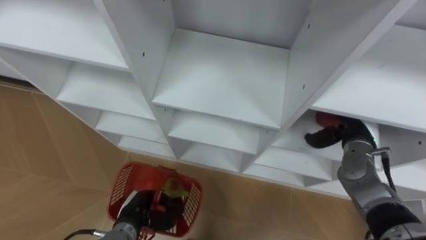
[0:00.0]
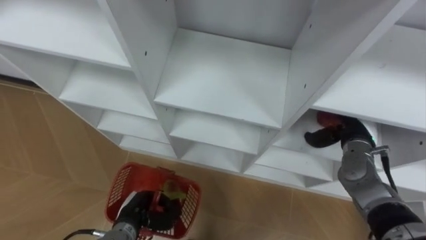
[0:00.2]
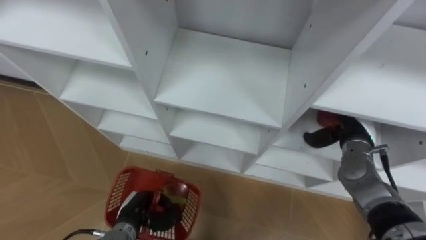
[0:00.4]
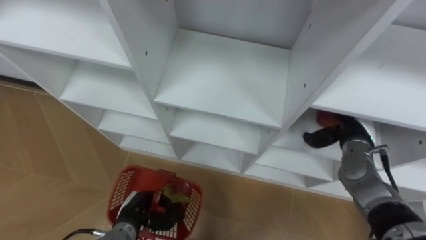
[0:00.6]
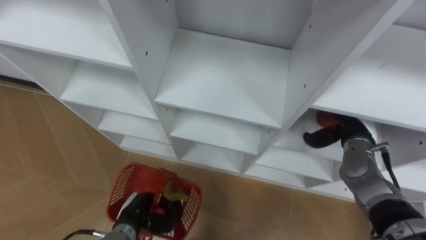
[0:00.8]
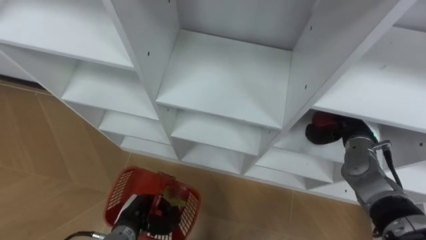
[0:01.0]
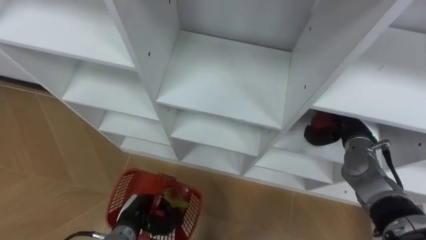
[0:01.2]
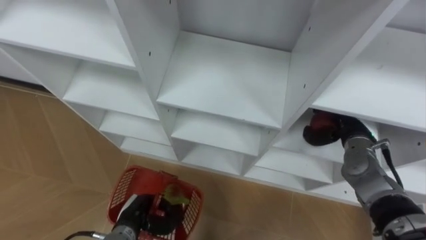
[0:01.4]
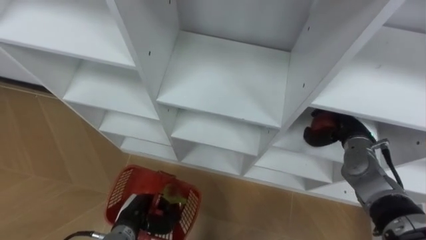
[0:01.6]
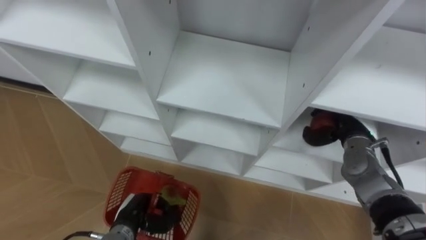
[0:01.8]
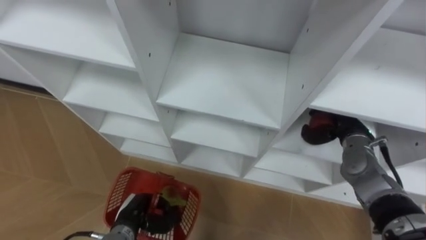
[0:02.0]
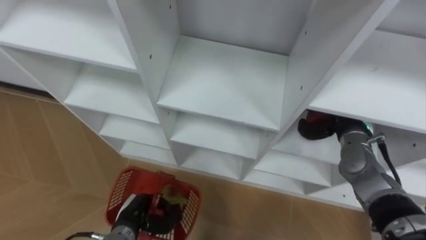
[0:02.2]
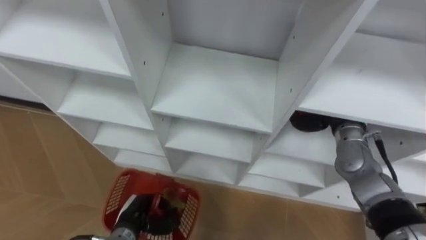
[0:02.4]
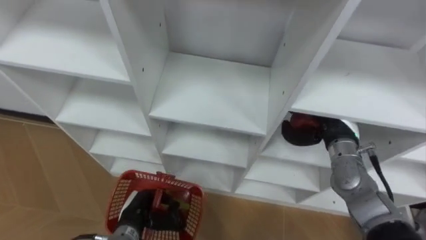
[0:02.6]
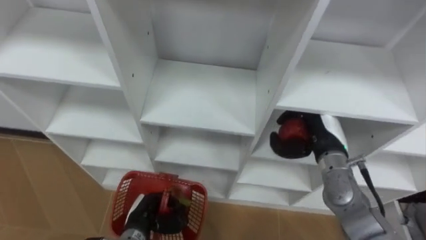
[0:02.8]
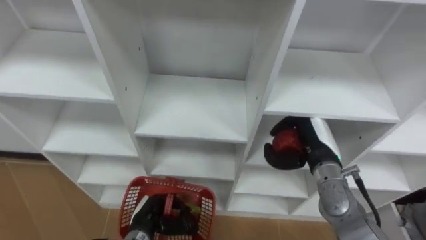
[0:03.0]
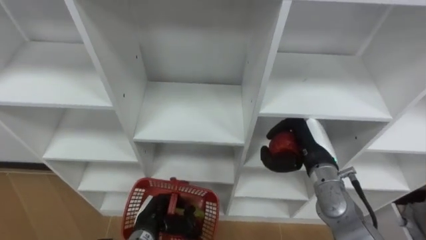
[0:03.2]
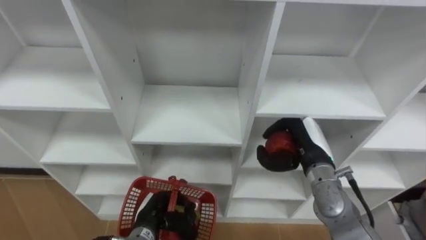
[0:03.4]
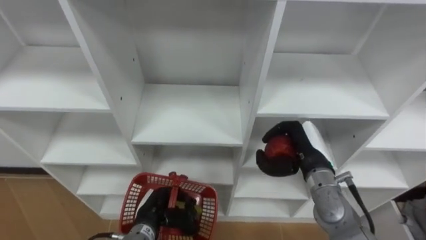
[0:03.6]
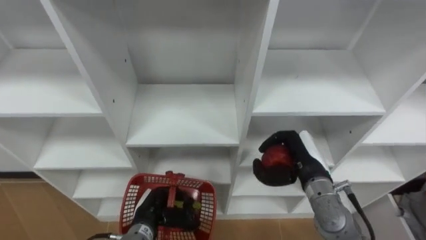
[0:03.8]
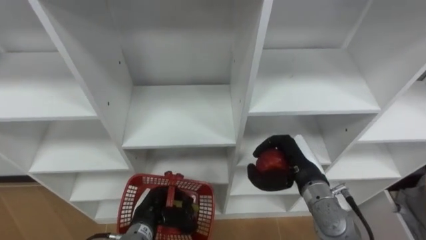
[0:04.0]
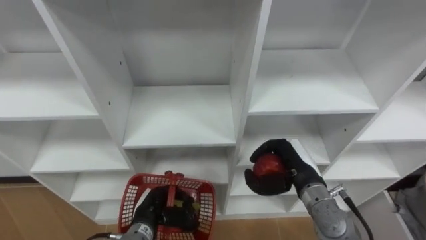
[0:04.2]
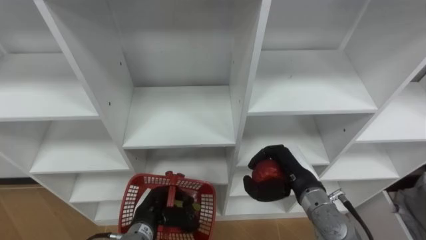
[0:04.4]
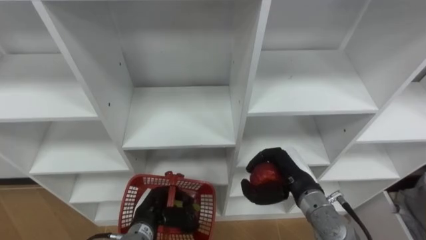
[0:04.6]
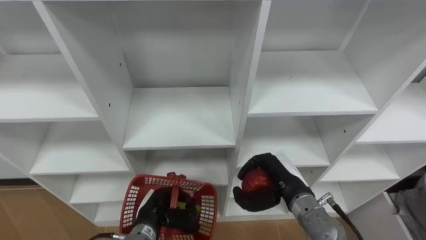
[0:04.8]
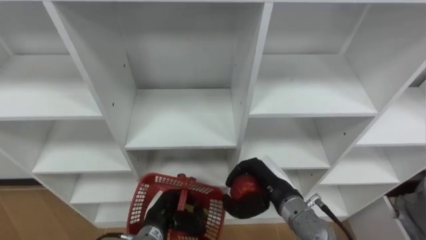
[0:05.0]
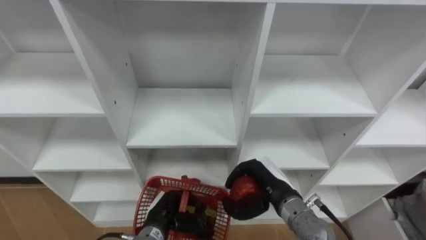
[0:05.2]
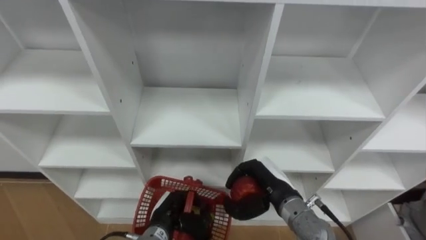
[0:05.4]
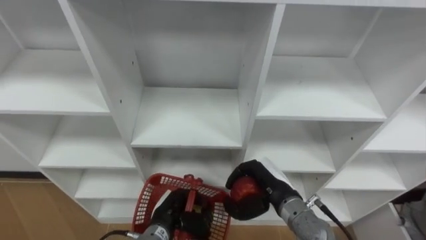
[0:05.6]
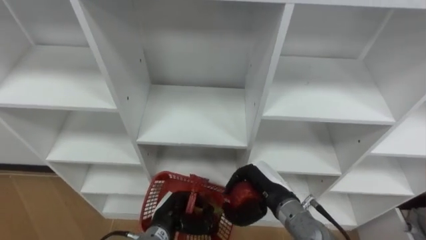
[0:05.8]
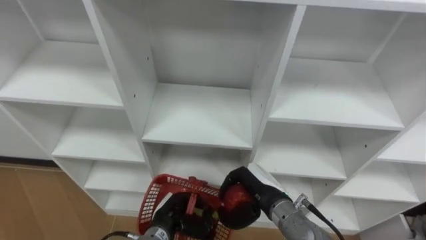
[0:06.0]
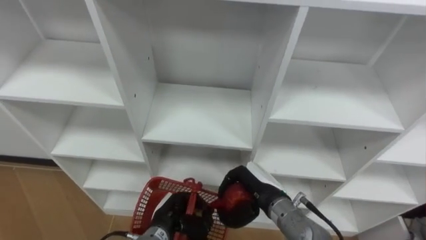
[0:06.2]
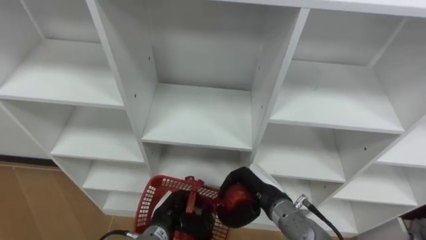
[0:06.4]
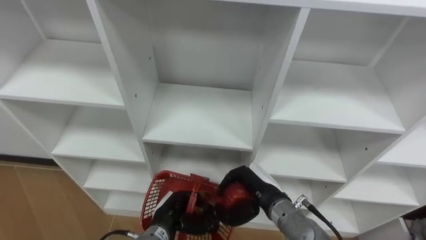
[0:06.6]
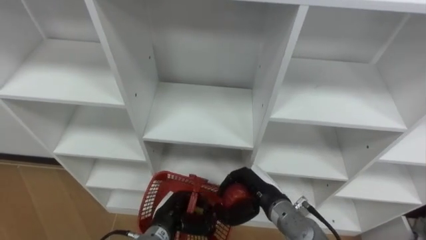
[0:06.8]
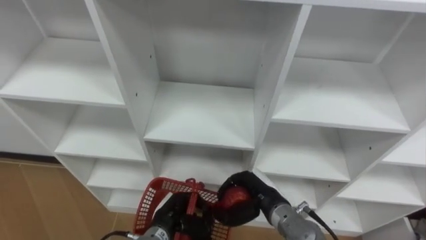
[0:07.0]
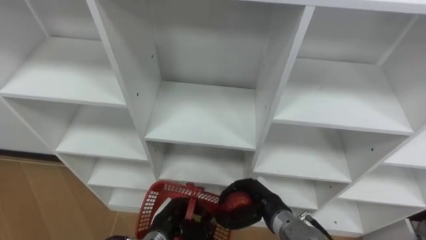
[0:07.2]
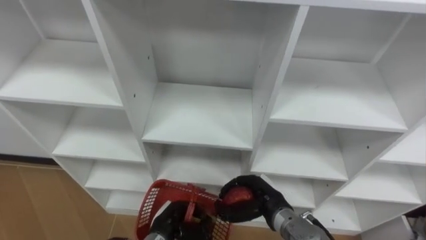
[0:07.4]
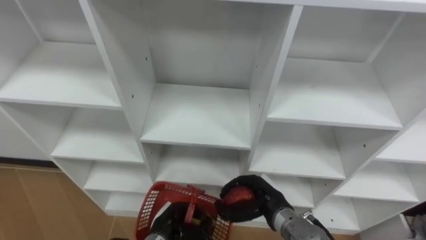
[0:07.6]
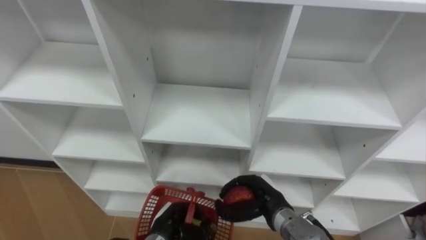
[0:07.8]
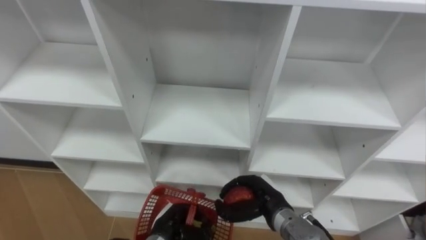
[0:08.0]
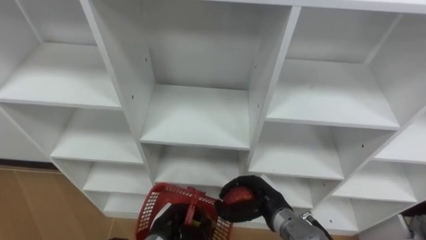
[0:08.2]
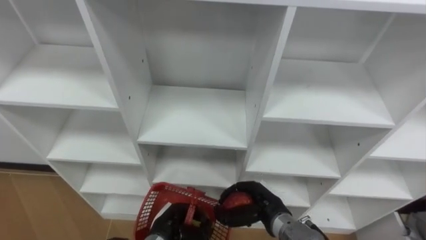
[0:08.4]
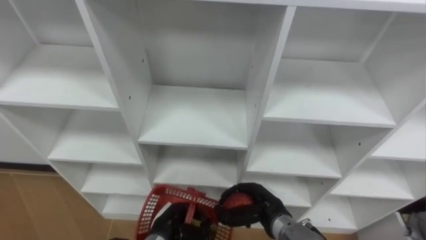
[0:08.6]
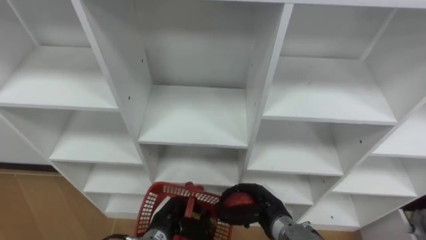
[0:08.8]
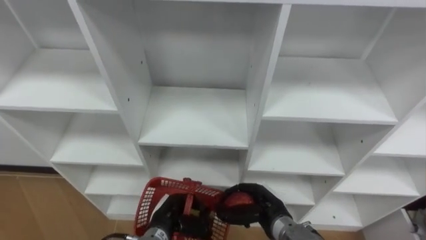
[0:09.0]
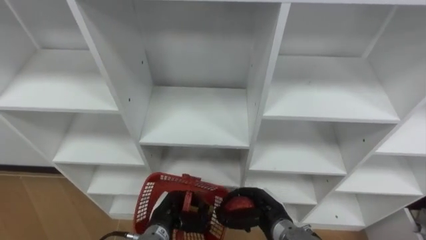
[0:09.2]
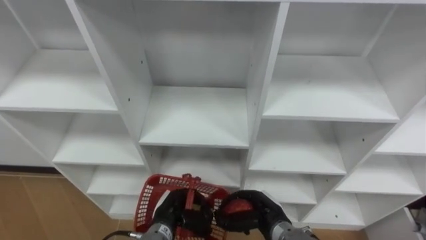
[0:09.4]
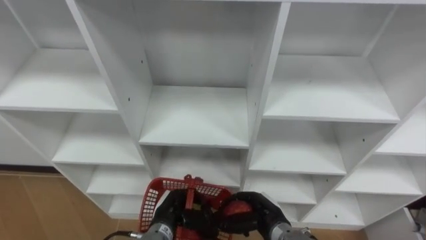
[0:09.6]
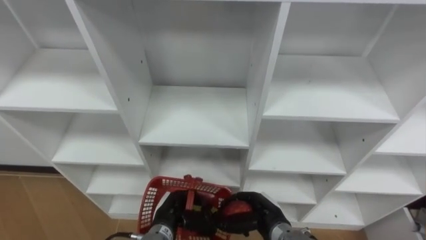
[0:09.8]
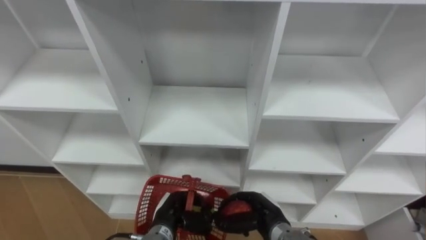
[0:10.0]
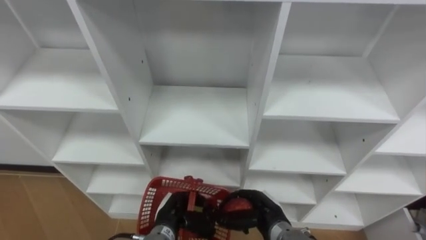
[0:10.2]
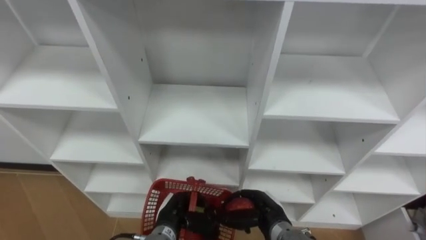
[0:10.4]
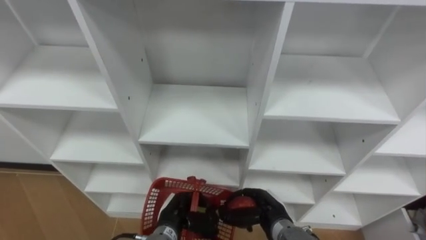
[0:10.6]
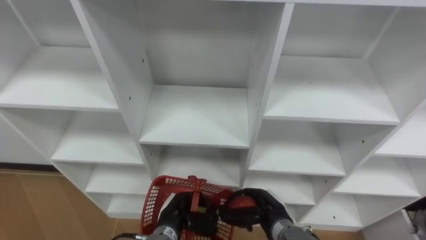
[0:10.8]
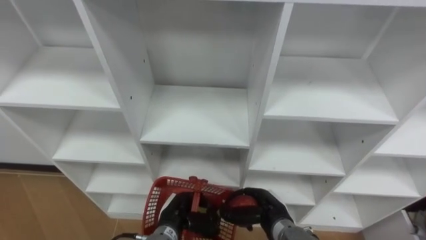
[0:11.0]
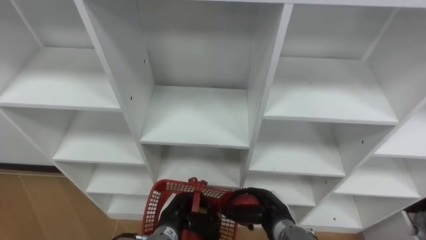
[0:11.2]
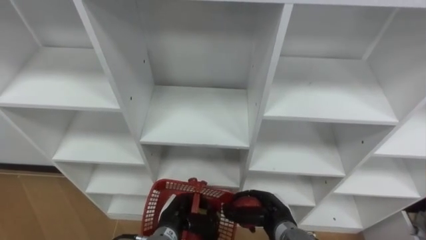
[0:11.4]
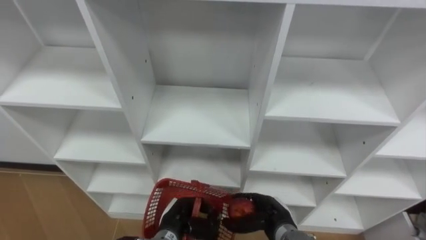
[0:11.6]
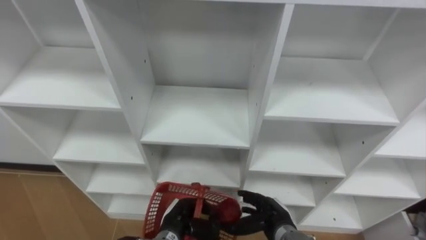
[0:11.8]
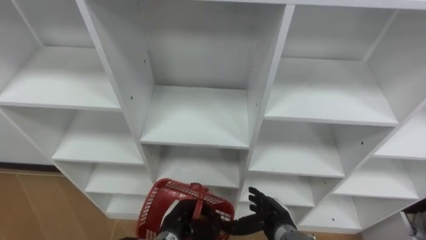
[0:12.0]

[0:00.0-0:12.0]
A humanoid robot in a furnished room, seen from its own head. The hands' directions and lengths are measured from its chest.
Task of the whole recording: Hold the basket and collect the fruits from 3 different cells of the closet into it.
0:00.0 to 0:01.6: The right hand closes up.
0:01.6 to 0:03.0: The right hand moves to the left, some 10 cm.
0:03.0 to 0:04.4: The right hand shifts by roughly 5 cm.
0:04.4 to 0:06.0: The right hand shifts roughly 5 cm to the left.
0:07.6 to 0:10.4: There are only small adjustments of the hands.
0:10.4 to 0:12.0: The right hand opens its fingers.

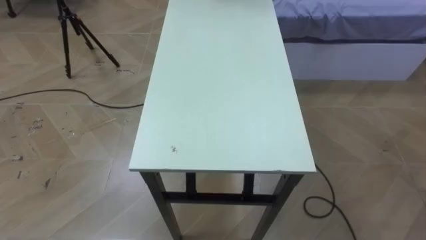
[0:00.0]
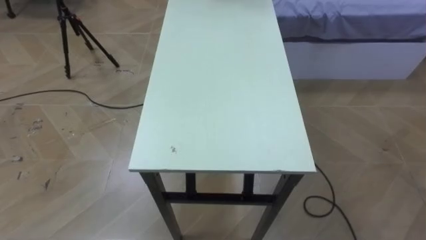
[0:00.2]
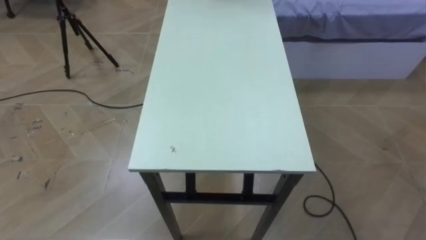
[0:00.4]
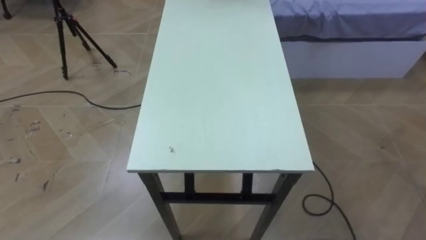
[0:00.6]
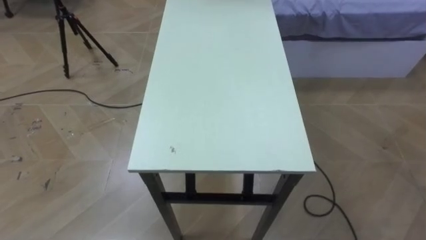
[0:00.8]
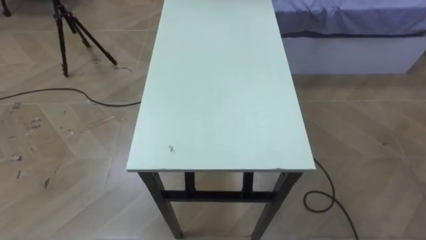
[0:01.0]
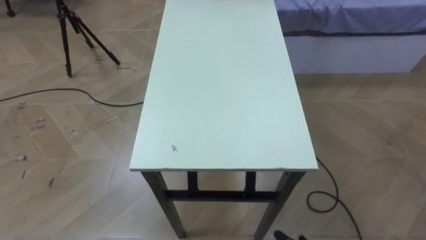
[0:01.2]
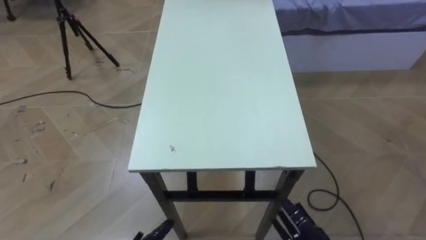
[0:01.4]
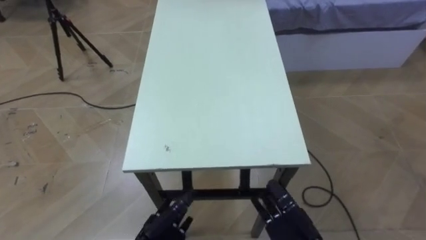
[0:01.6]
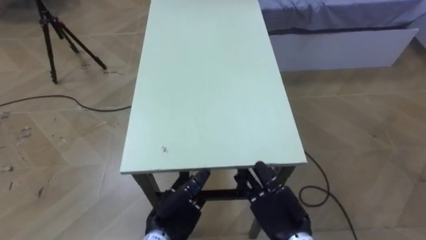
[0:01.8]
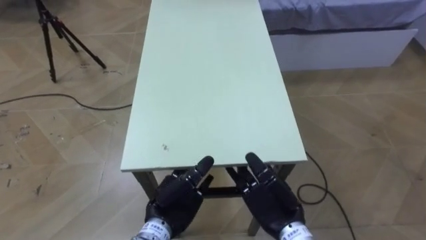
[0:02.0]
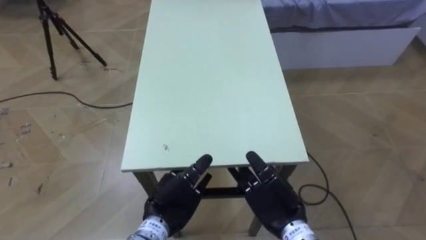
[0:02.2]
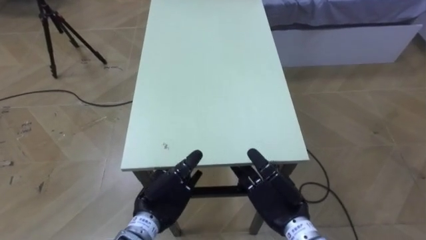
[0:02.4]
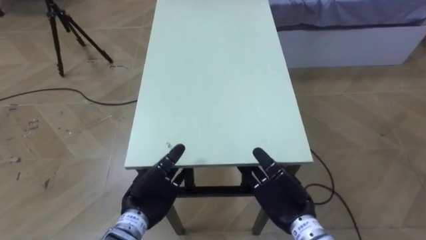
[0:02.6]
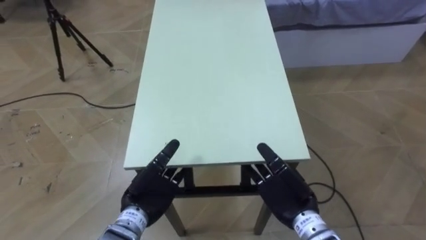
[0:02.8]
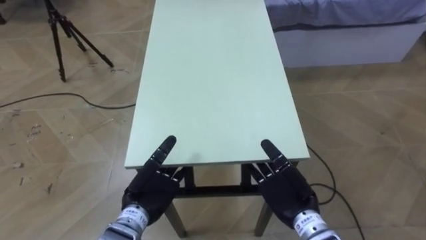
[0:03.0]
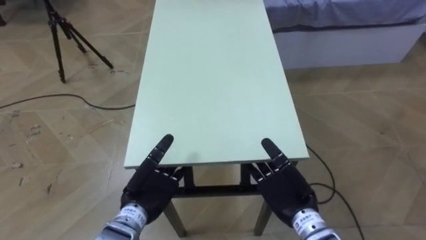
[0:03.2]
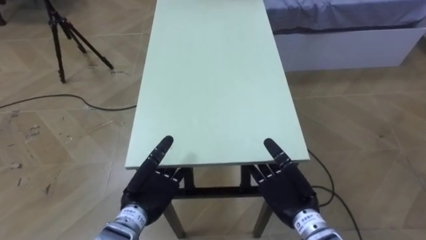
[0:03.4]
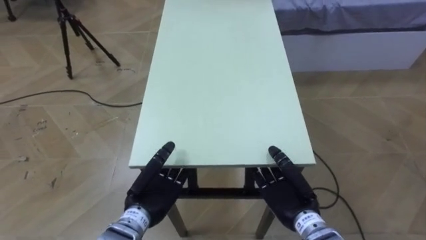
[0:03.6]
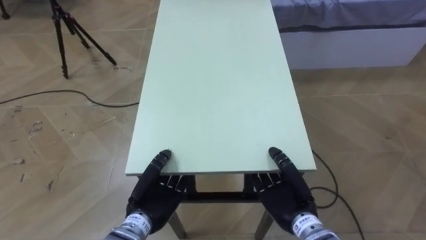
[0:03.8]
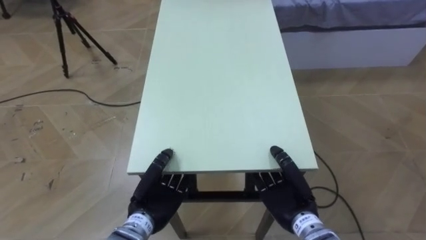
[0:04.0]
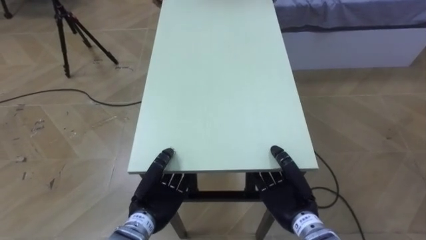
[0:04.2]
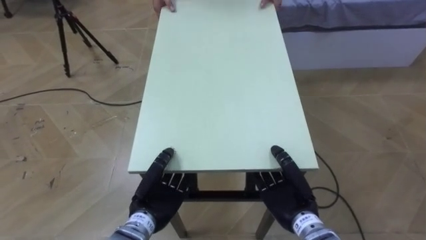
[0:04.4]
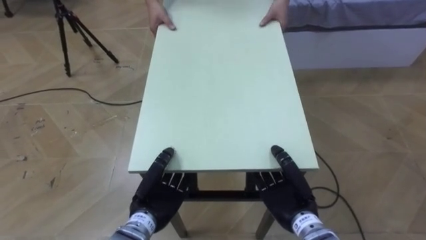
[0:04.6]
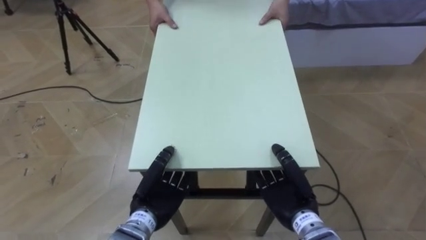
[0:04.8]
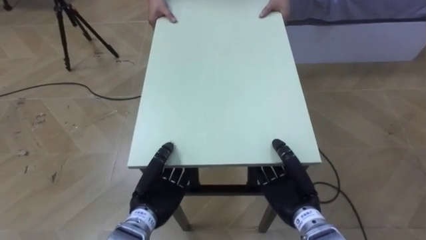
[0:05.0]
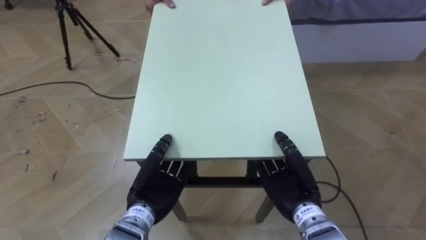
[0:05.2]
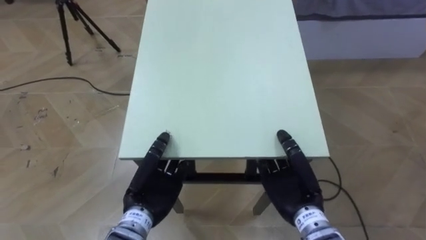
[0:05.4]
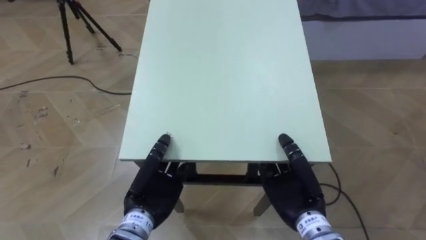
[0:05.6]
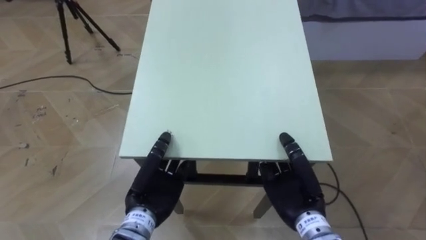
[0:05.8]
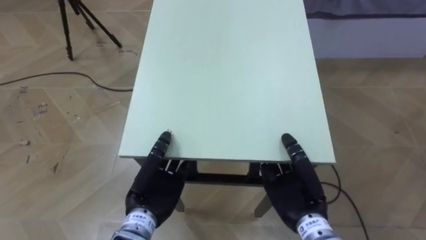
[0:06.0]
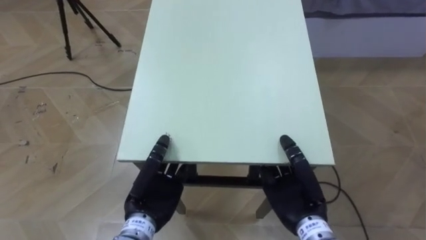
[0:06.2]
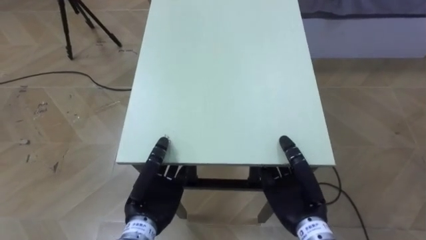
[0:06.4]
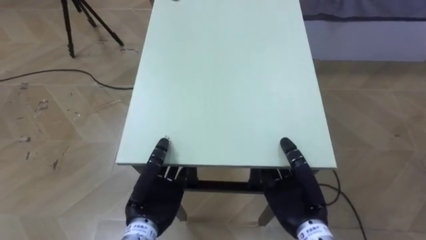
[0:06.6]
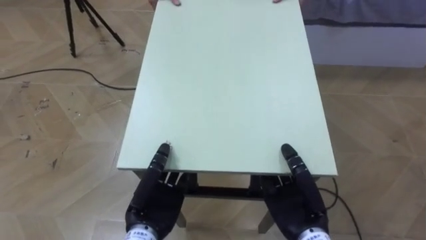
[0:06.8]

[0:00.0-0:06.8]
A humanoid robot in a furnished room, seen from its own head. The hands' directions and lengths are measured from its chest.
Task of the whole recording: Move the table to the back left with someone.
0:02.8 to 0:04.0: The right hand closes up. Meanwhile the left hand closes.
